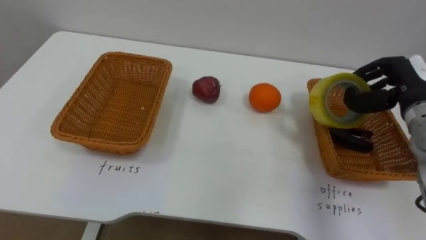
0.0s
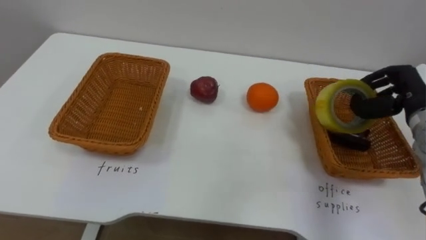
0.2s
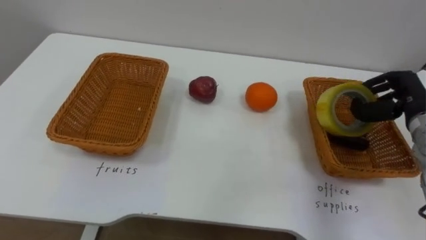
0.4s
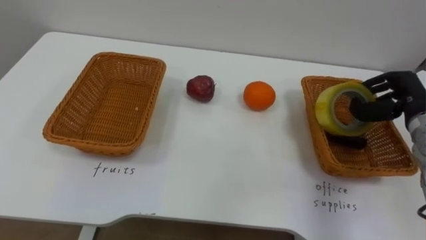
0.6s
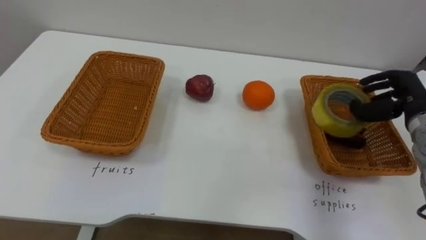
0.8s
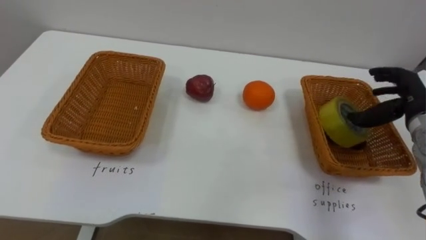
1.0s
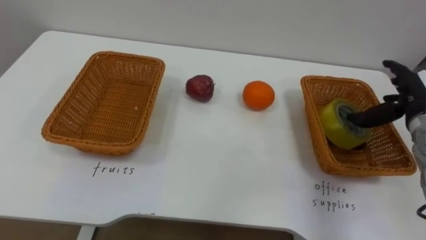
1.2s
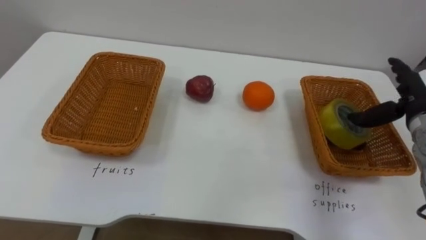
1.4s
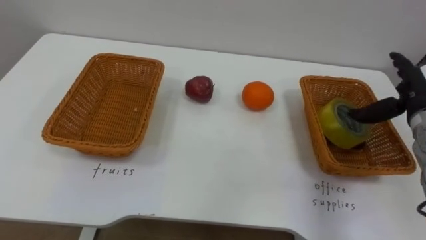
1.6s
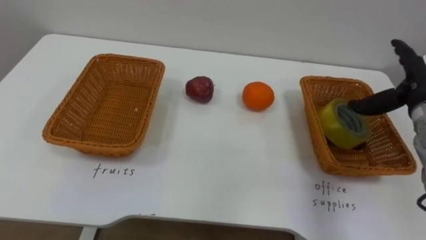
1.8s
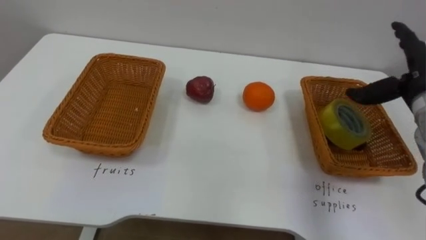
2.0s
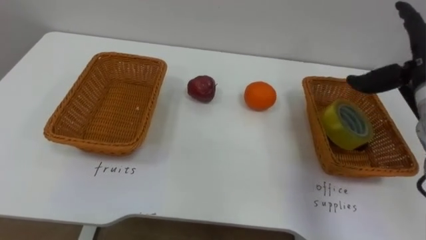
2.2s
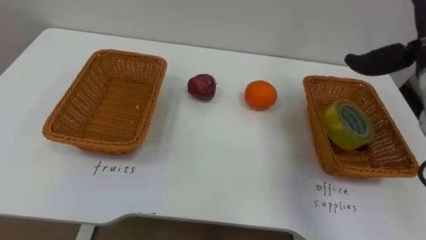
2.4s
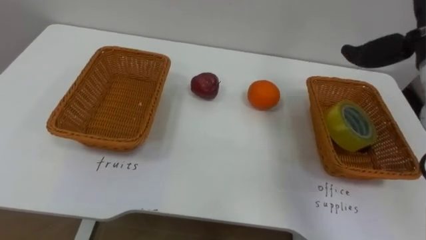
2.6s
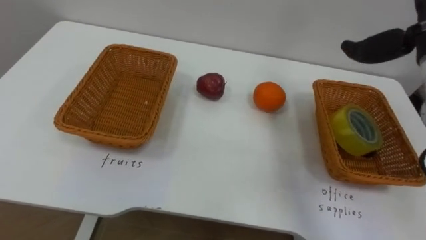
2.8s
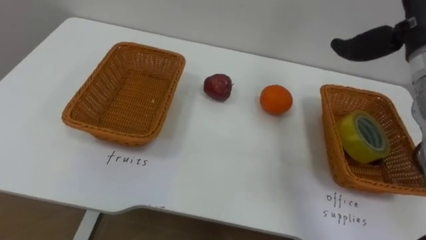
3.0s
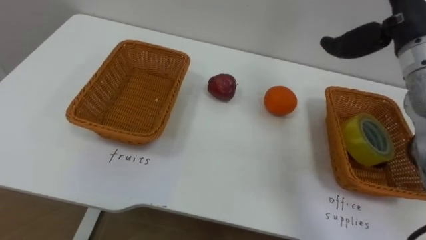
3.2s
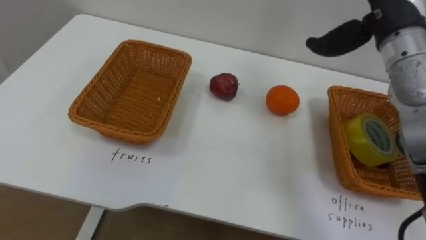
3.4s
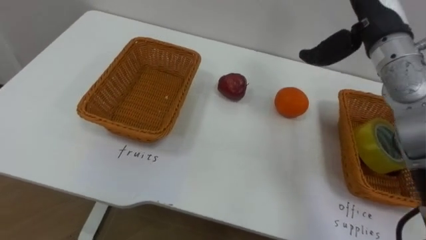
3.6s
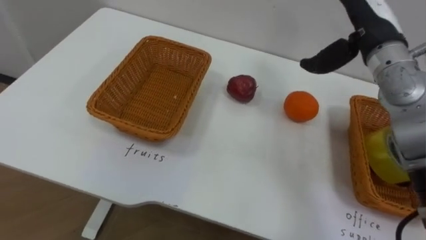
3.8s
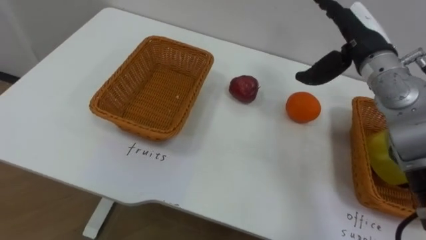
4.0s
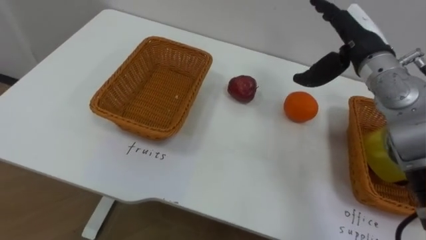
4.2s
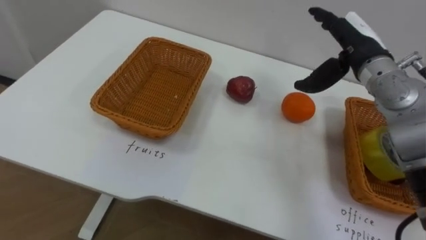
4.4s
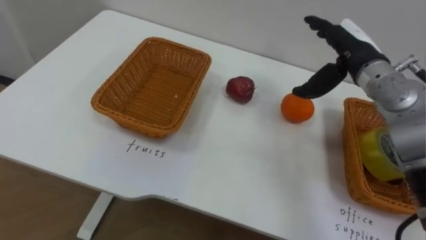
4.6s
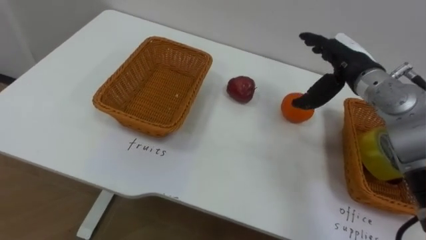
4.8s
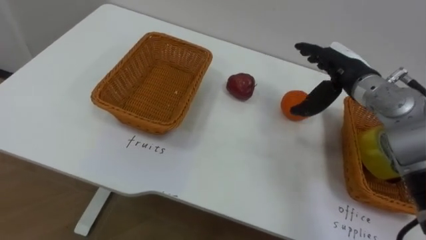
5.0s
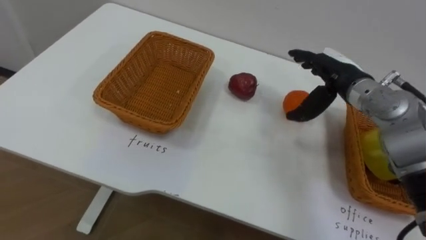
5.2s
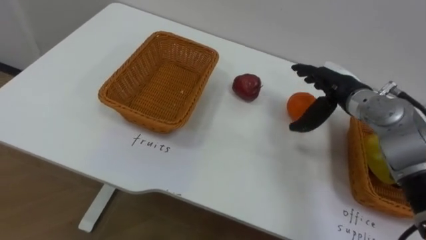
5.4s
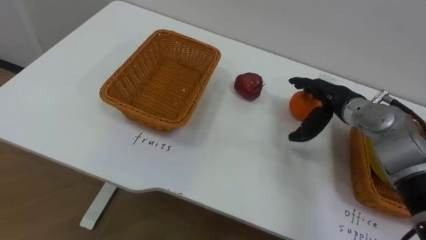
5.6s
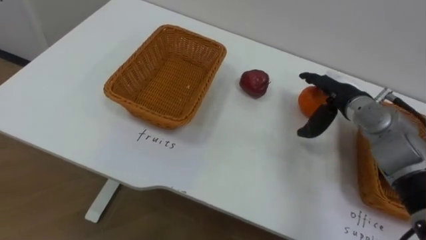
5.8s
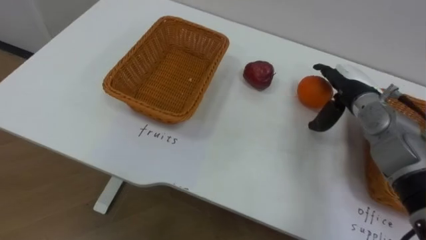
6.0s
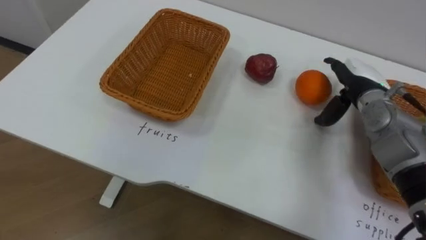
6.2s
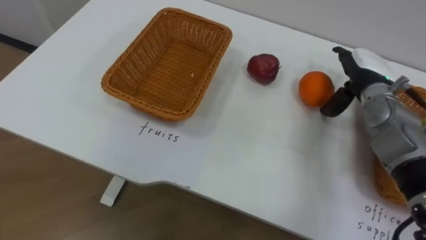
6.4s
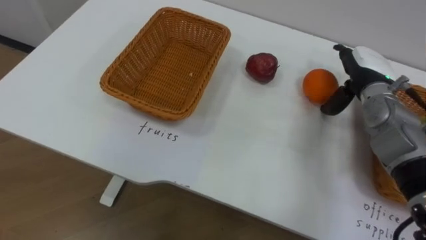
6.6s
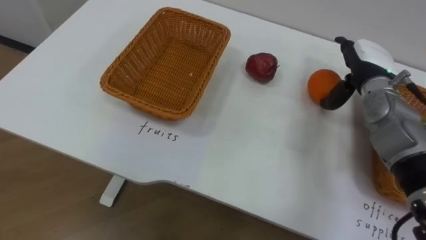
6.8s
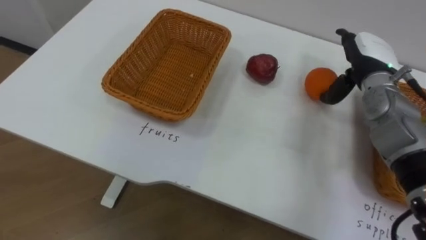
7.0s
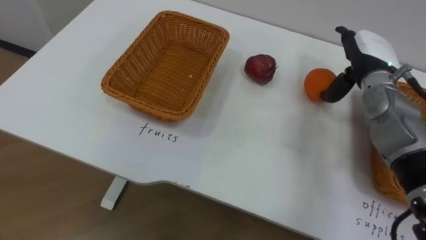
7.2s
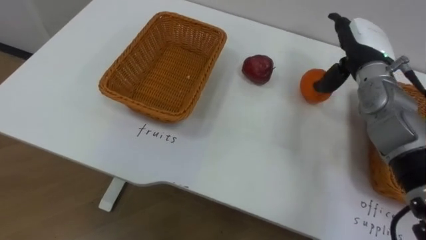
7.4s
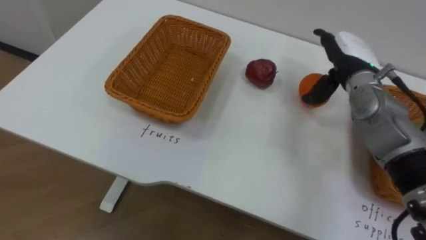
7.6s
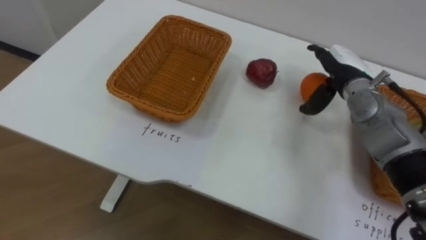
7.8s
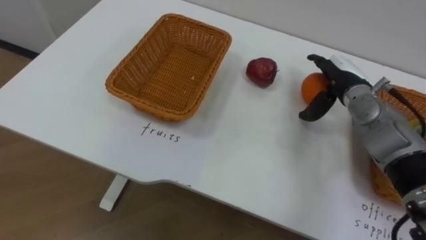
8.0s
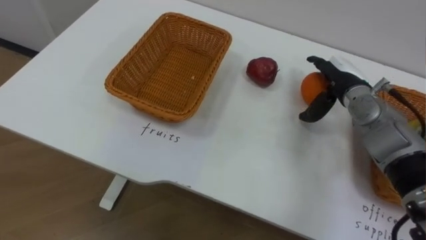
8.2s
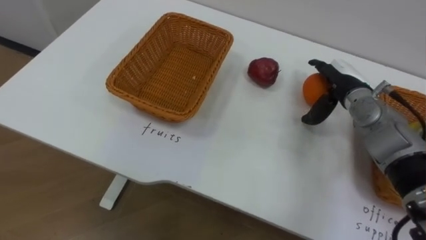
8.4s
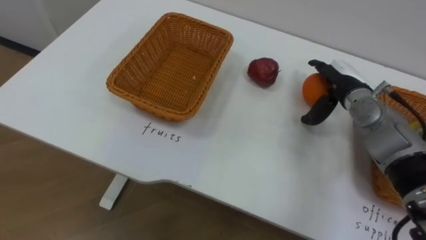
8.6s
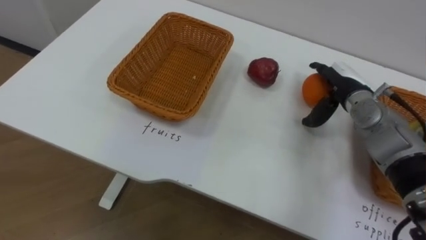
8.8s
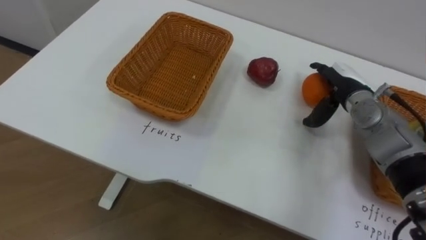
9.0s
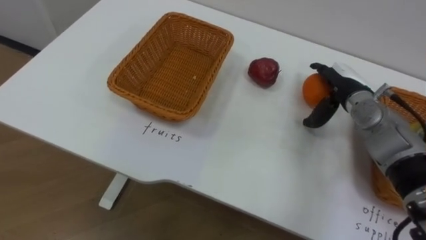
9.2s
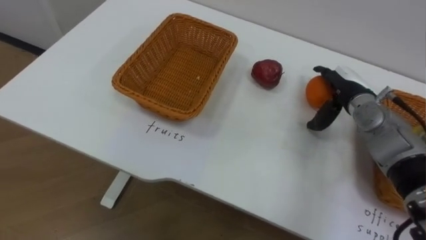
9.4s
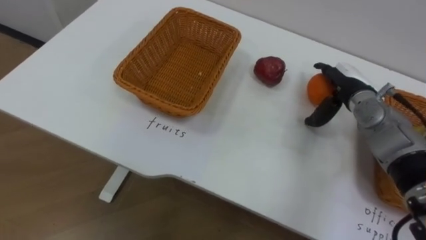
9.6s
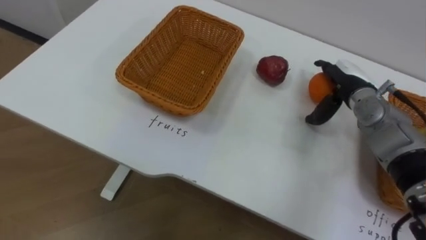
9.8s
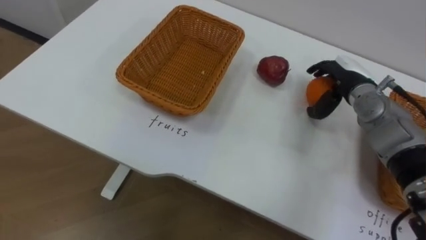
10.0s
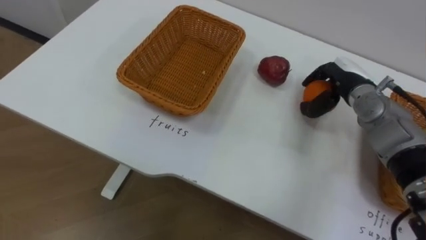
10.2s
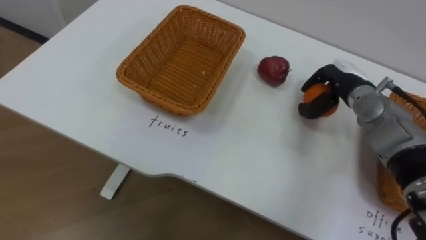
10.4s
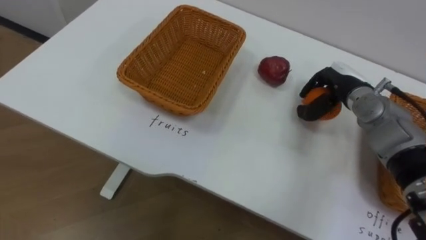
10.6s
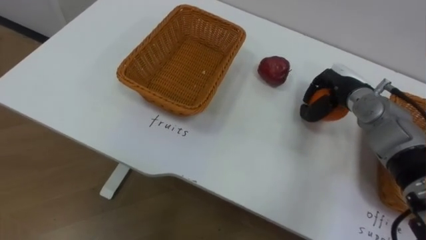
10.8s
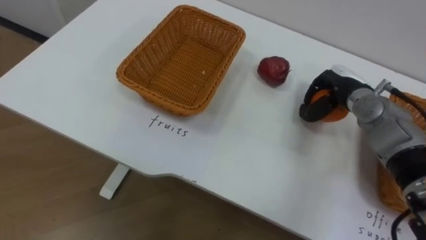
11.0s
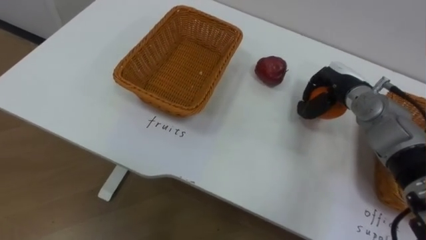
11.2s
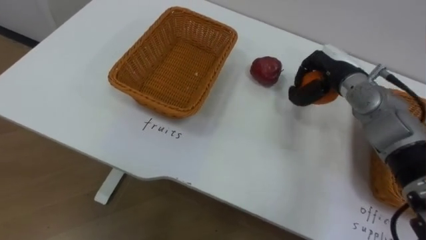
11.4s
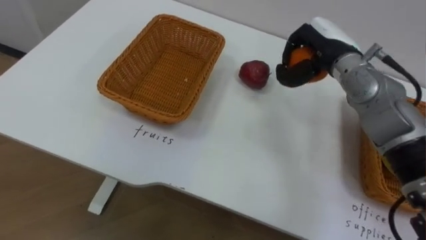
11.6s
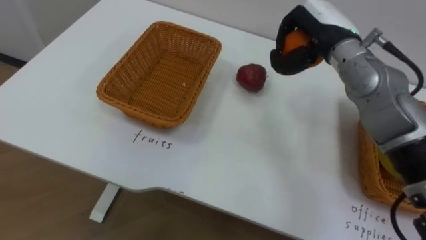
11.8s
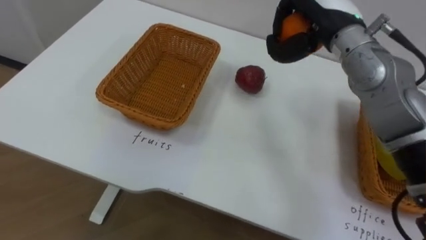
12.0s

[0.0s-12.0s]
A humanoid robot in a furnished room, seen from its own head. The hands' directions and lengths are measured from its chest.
Task of the whole recording: Separate the items on the table and place them into the two baskets.
0.0s to 1.6s: The right hand opens up.
3.0s to 4.4s: The right hand heads downward, covering about 10 cm.
4.4s to 6.0s: The right hand moves downward, some 10 cm.
6.0s to 7.6s: The right hand ends up some 5 cm from where it was.
7.6s to 9.0s: The right hand travels downward by about 5 cm.
9.0s to 10.4s: The right hand closes its fingers.
10.4s to 12.0s: The right hand is displaced upward and to the left by roughly 15 cm.

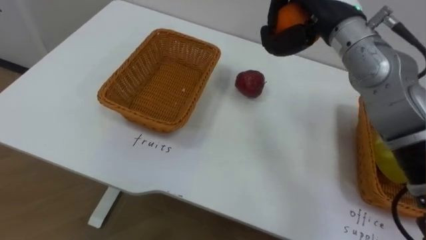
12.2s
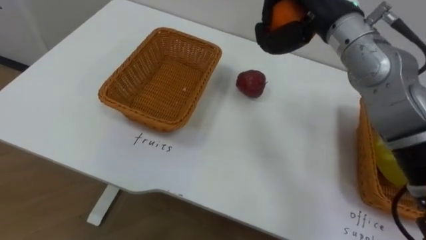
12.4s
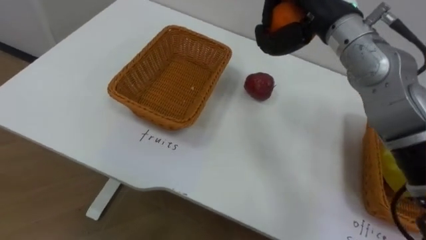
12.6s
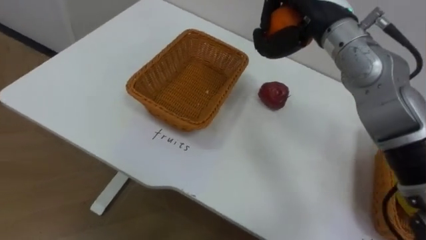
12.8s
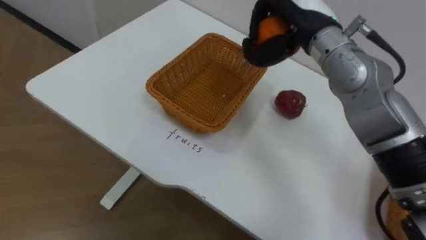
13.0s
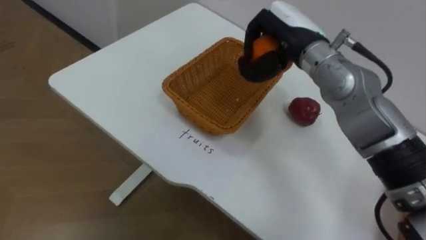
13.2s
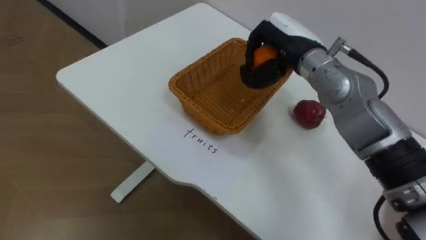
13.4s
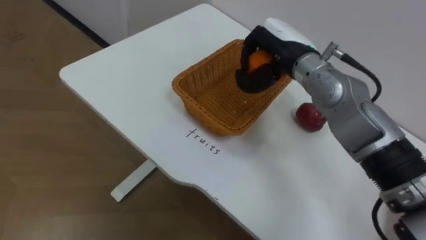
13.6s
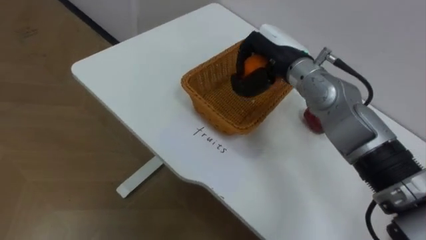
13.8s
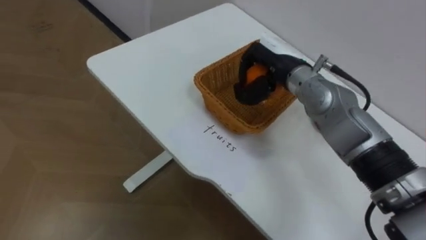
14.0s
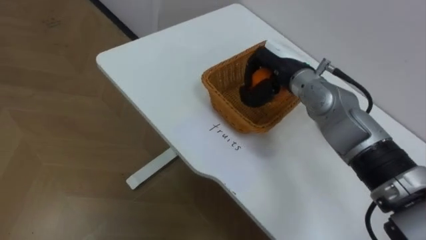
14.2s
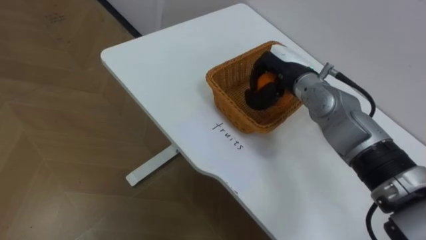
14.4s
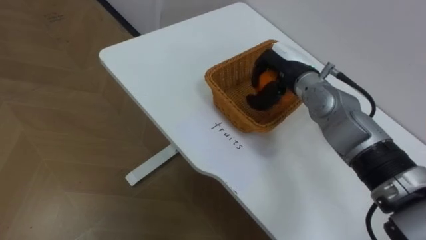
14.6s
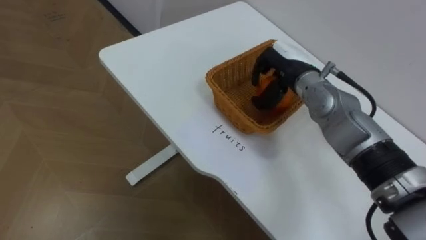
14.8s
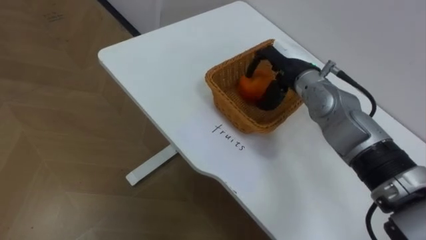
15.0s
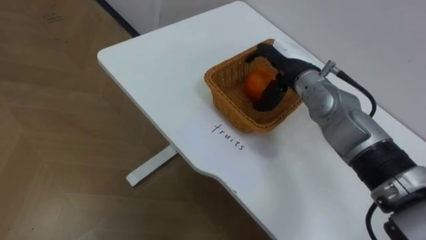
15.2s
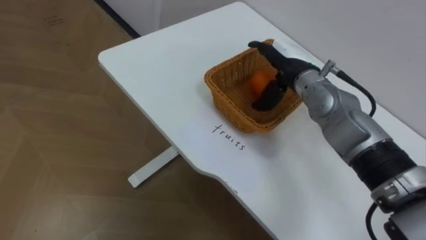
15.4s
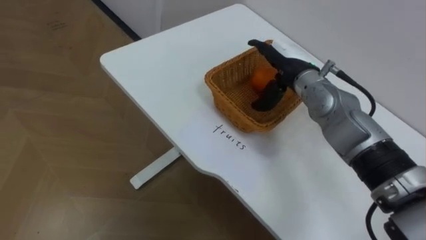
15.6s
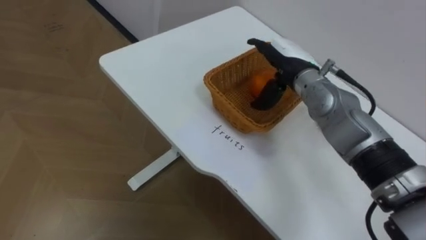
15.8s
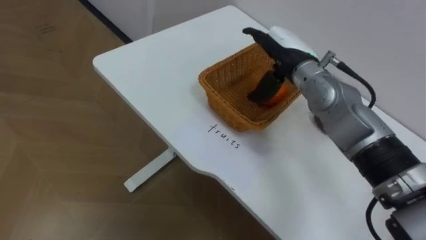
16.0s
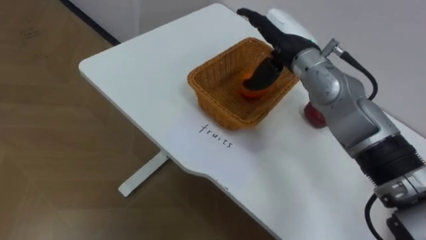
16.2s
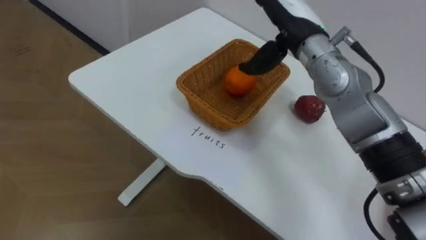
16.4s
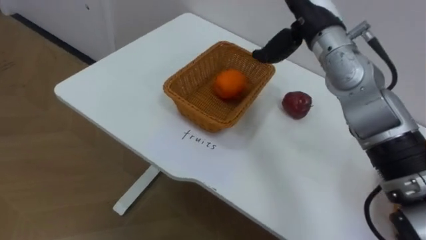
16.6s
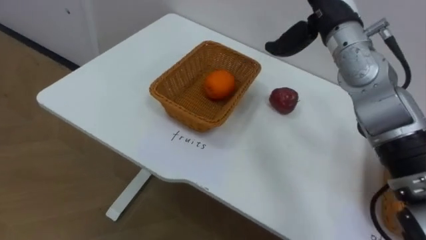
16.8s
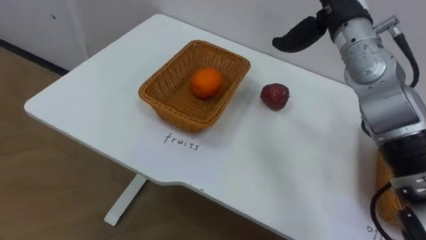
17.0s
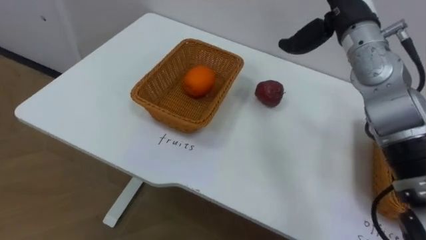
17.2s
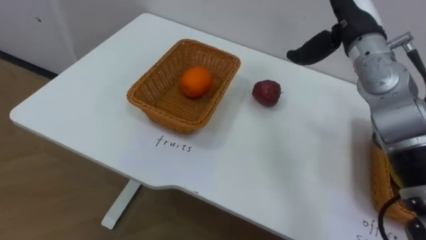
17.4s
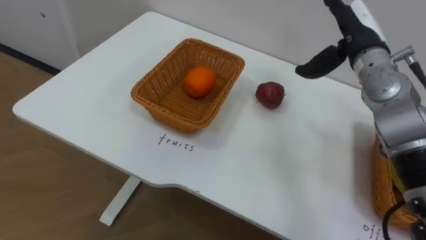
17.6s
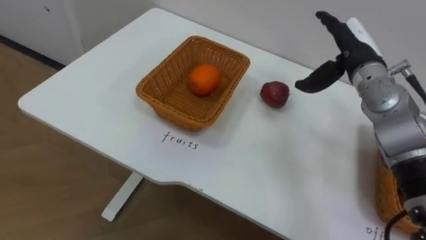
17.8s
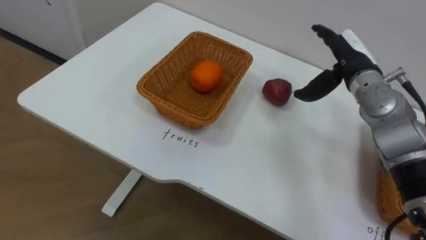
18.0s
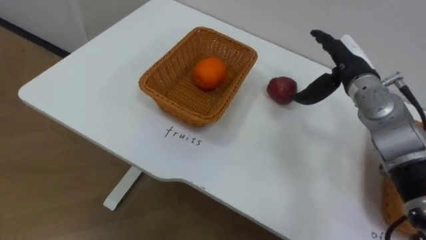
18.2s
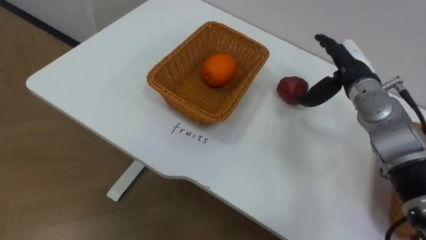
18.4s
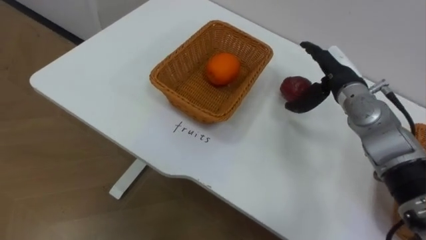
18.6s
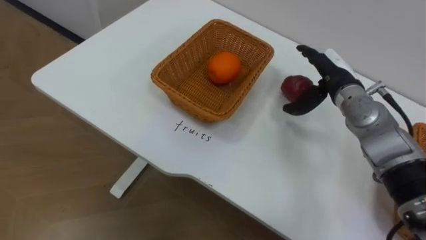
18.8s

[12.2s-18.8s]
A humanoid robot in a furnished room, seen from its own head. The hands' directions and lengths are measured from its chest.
Task of the whole recording: Separate the items on the table and place them into the two baskets.
12.2s to 13.8s: The right hand travels downward and to the left by approximately 10 cm.
13.8s to 15.4s: The right hand opens its fingers.
17.2s to 18.8s: The right hand is displaced downward by some 15 cm.
